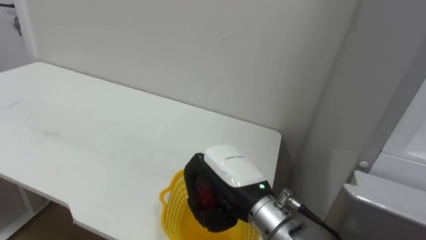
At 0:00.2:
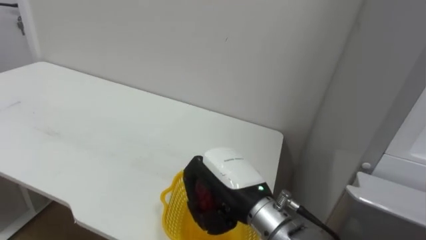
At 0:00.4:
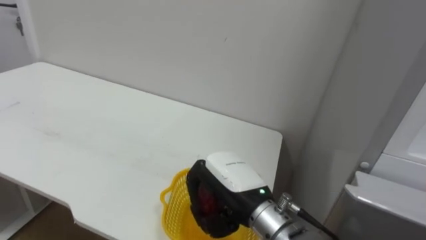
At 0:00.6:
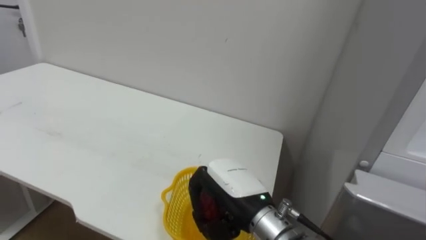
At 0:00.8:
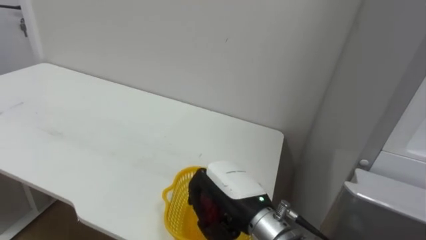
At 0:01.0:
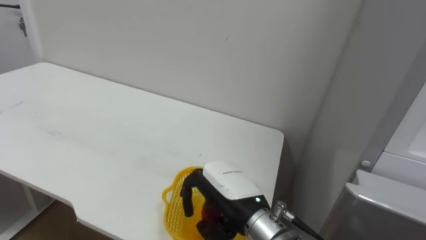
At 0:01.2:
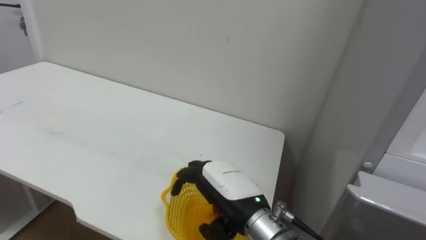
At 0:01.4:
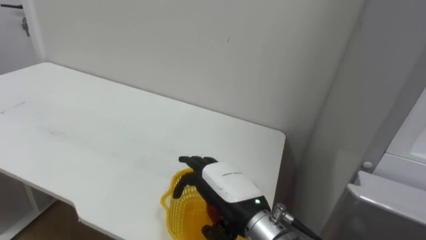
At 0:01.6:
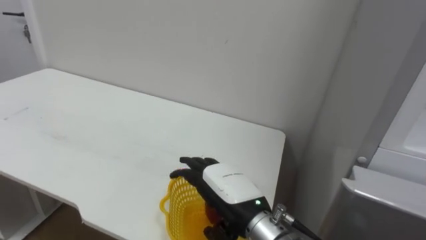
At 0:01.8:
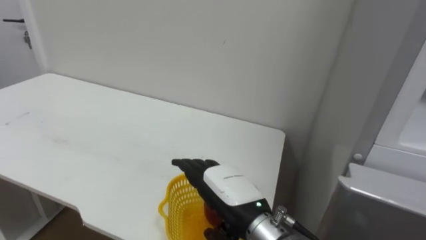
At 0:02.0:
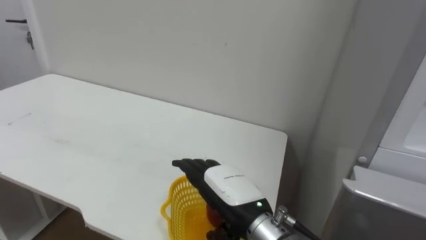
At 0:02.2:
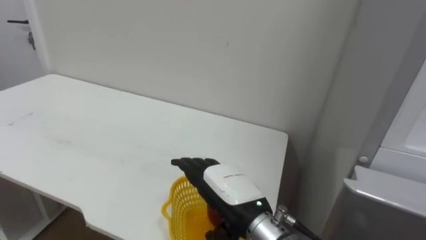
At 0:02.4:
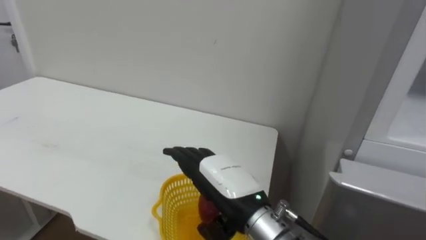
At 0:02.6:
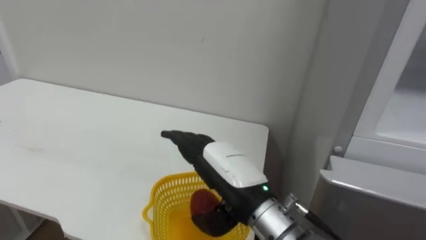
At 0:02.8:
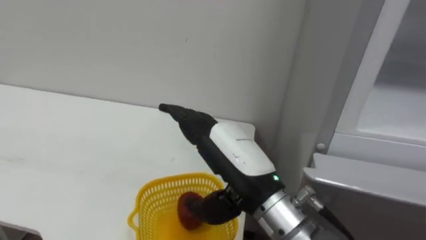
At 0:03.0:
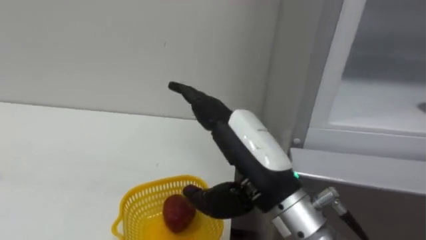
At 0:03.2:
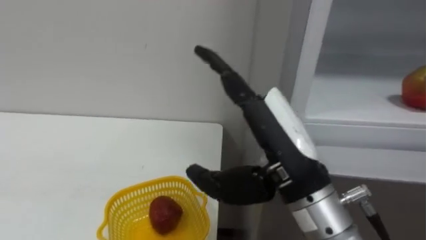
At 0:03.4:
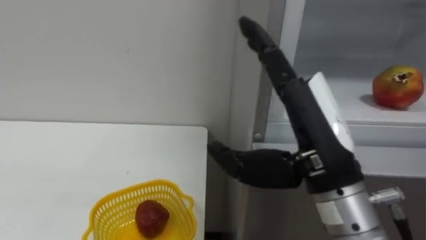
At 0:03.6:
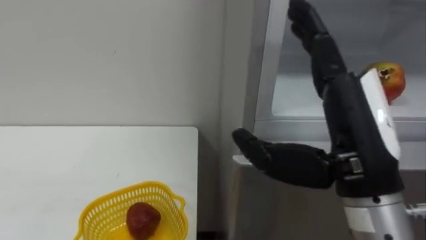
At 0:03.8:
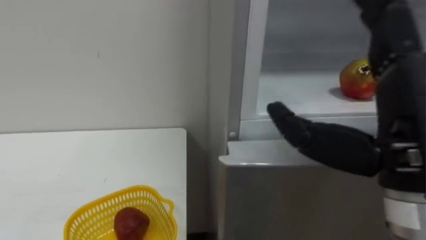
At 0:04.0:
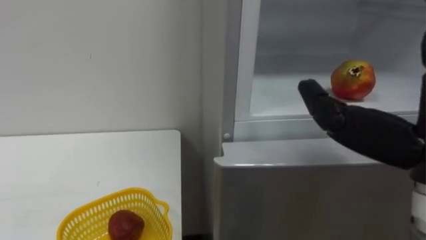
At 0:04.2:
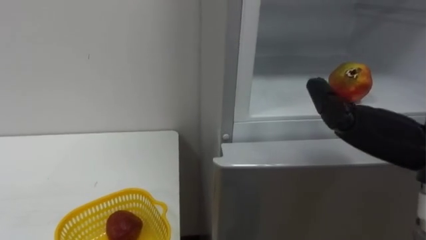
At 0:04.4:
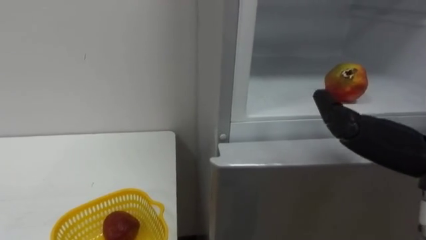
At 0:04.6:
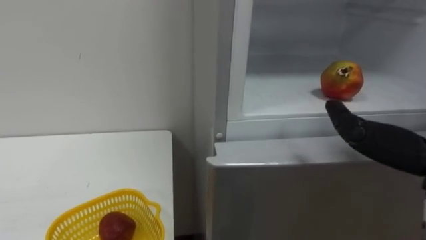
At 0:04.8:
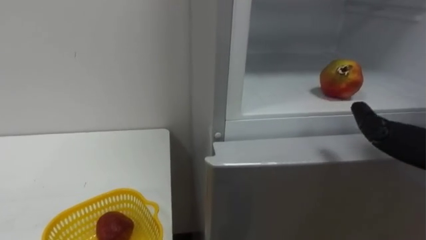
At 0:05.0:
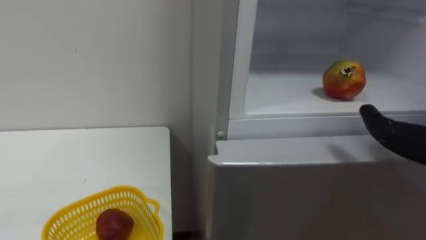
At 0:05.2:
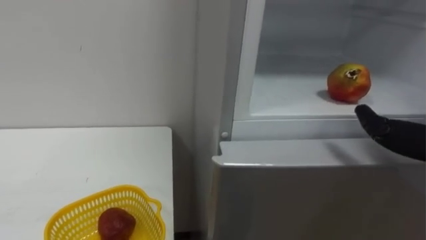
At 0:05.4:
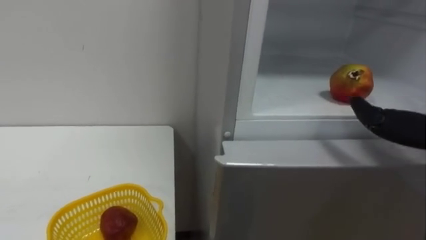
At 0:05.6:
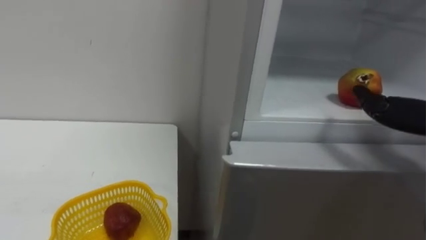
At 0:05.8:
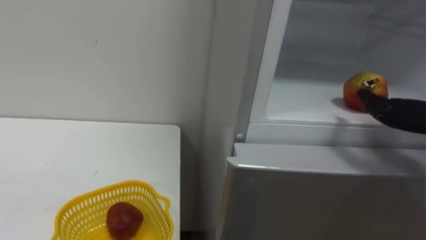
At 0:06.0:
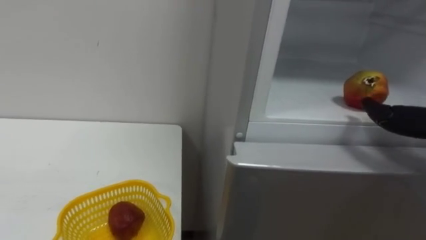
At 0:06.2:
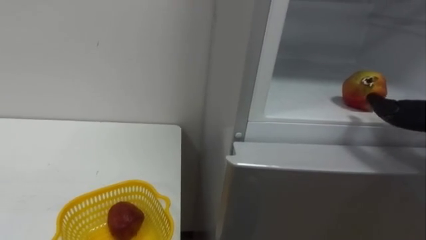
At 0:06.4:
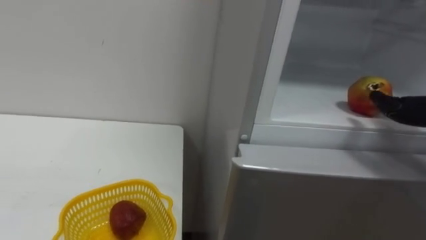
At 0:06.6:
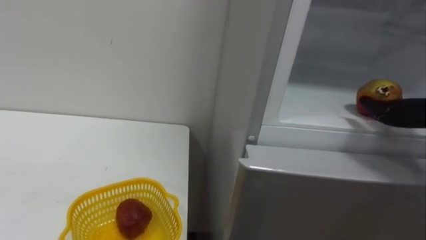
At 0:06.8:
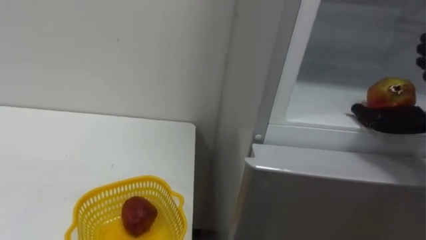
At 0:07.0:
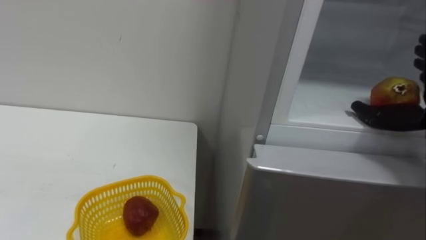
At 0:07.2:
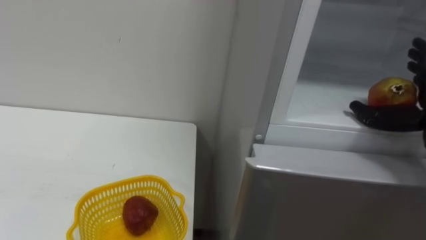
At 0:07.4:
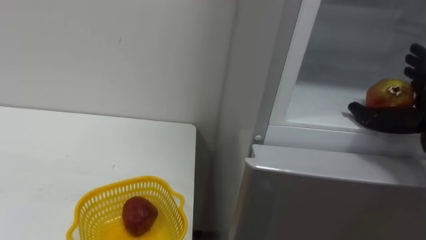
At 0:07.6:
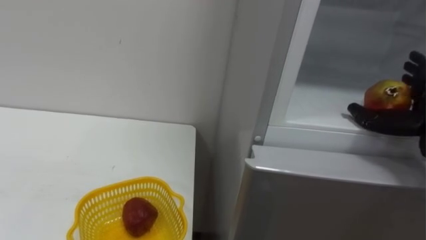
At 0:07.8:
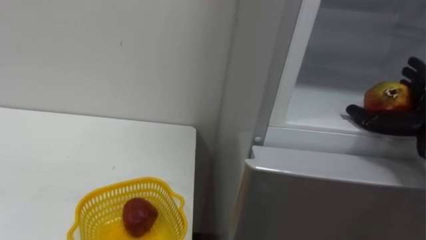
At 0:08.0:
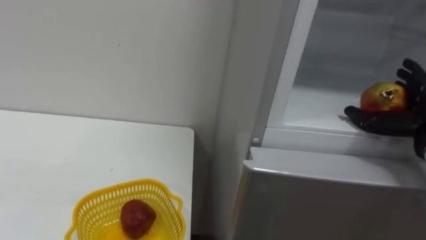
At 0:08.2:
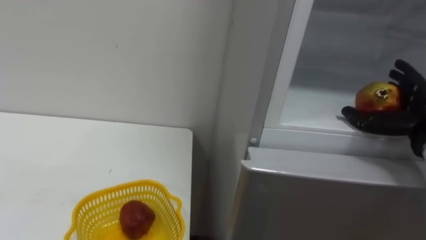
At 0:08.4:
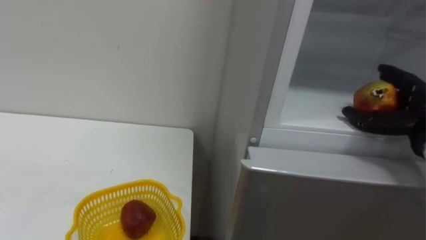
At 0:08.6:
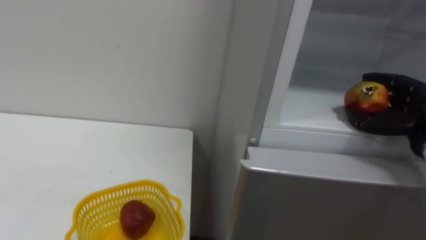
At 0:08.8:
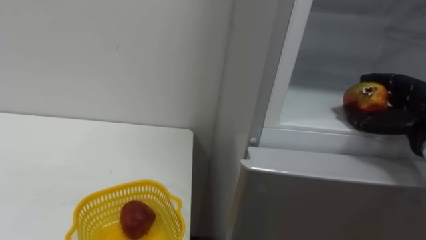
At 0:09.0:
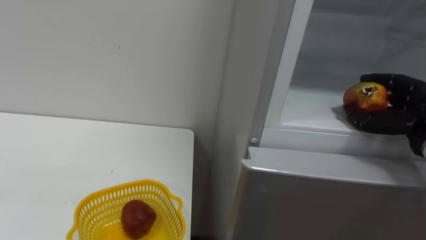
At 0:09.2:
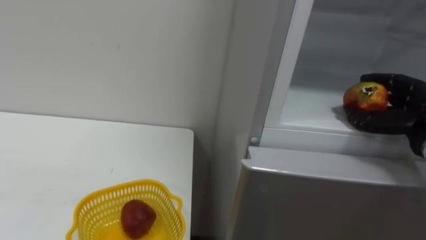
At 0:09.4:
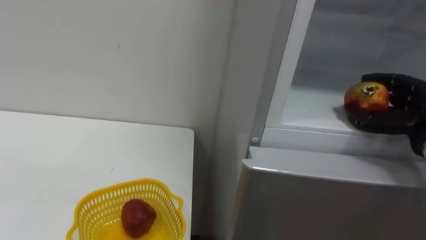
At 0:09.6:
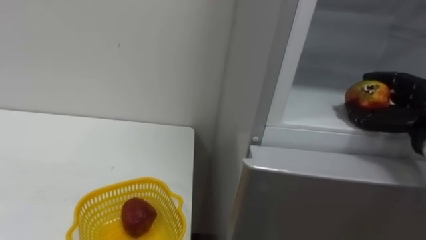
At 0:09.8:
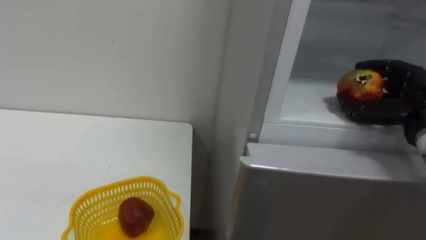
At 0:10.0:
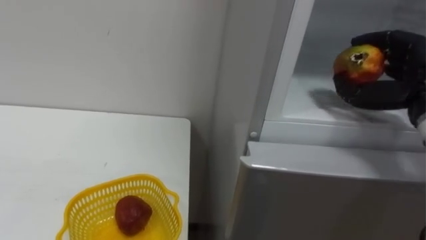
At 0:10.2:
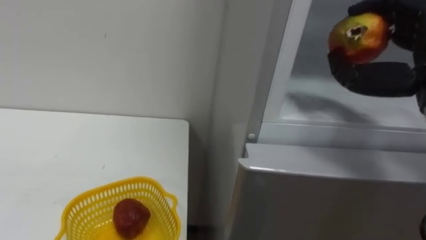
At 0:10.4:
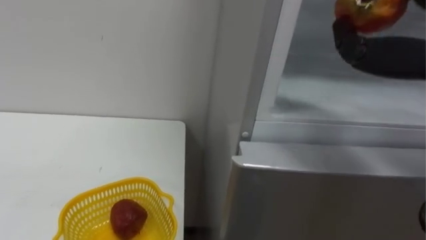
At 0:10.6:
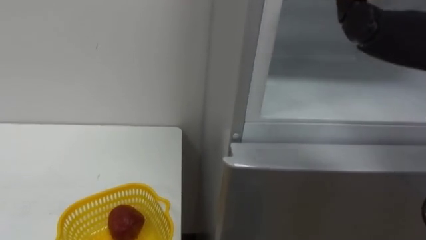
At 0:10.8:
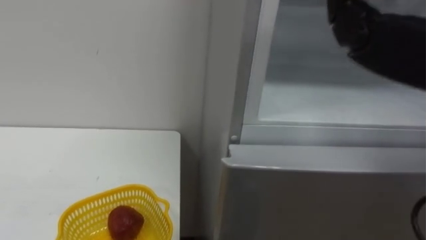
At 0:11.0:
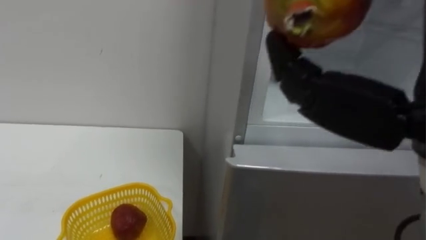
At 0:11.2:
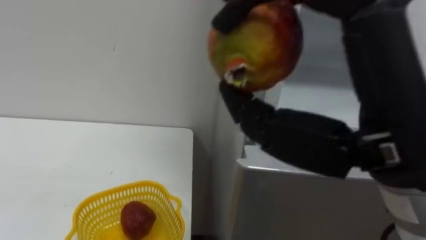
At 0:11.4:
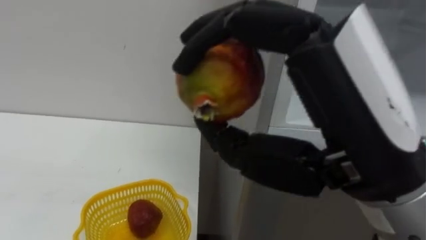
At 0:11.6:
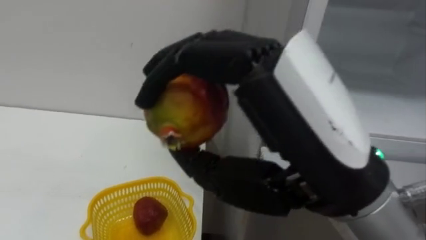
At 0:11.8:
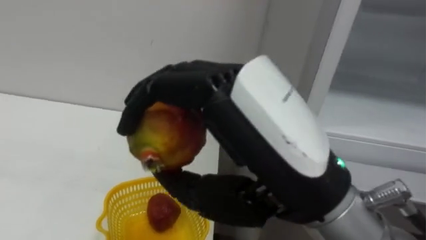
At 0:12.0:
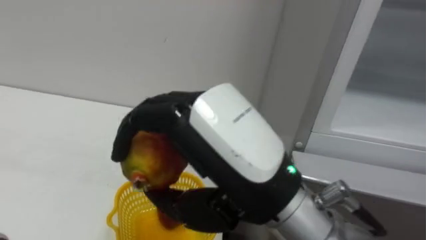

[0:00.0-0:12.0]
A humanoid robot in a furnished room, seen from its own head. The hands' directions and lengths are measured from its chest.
Task of the whole recording: Open the refrigerator door, take out the apple and the pomegranate, place them in the fruit basket on the left, and close the refrigerator door.
0:00.0 to 0:01.6: The right hand opens.
0:01.6 to 0:03.0: The right hand heads upward, covering about 10 cm.

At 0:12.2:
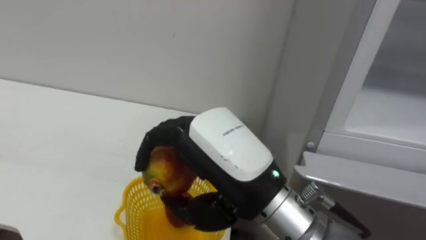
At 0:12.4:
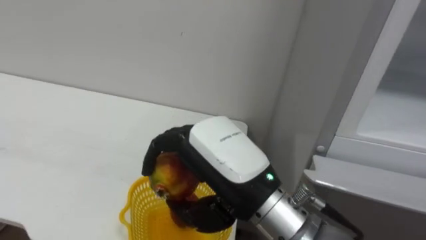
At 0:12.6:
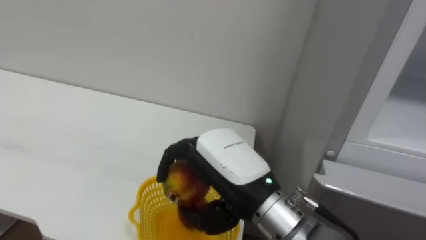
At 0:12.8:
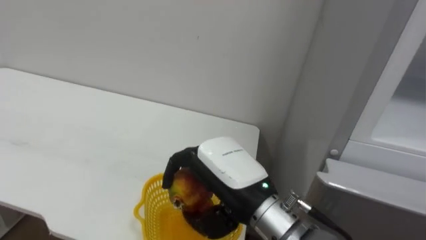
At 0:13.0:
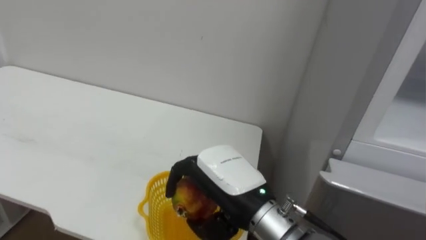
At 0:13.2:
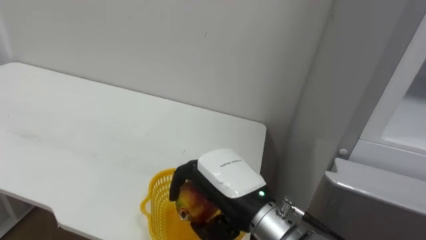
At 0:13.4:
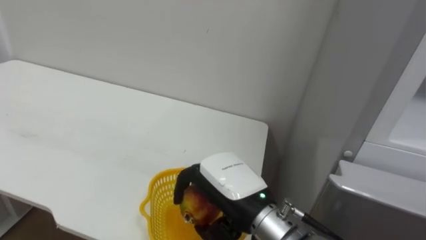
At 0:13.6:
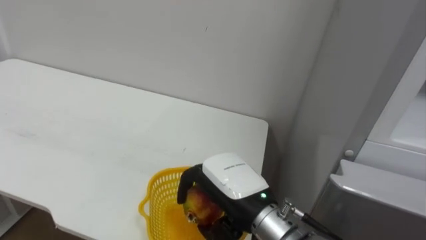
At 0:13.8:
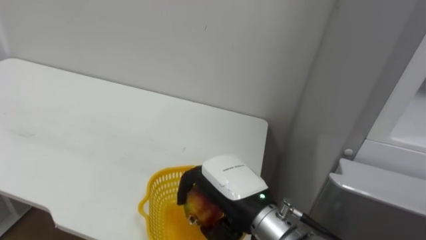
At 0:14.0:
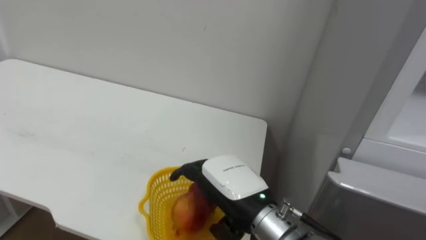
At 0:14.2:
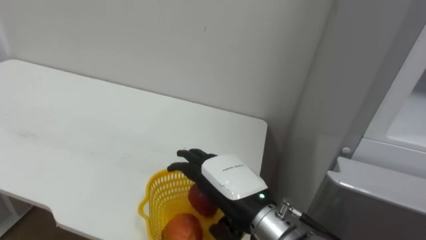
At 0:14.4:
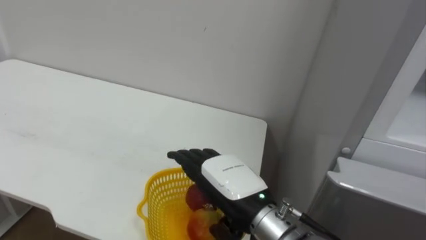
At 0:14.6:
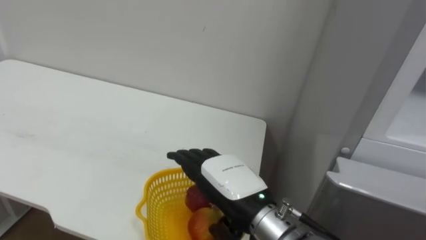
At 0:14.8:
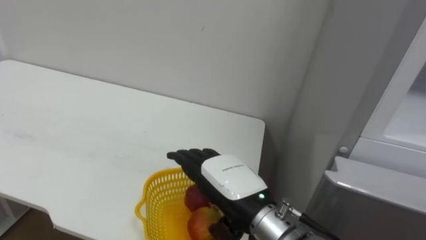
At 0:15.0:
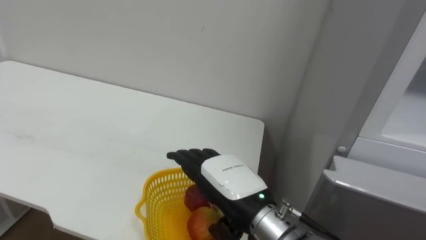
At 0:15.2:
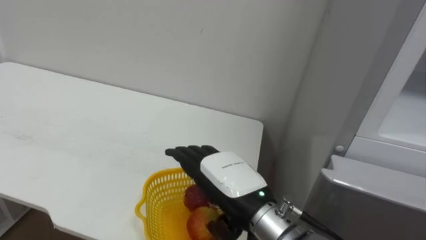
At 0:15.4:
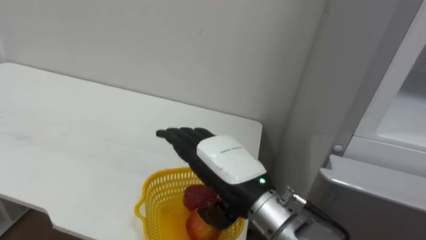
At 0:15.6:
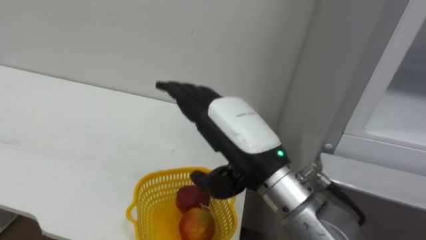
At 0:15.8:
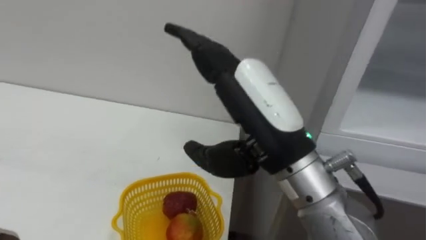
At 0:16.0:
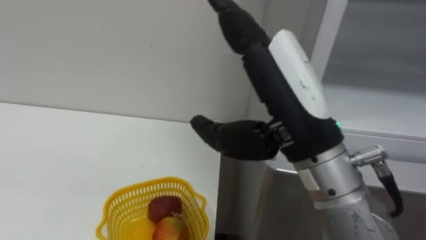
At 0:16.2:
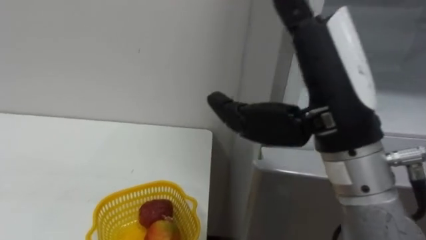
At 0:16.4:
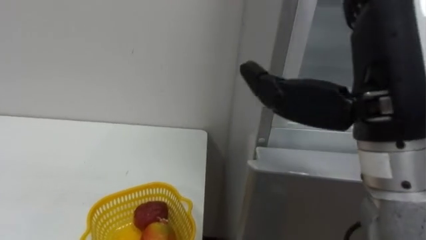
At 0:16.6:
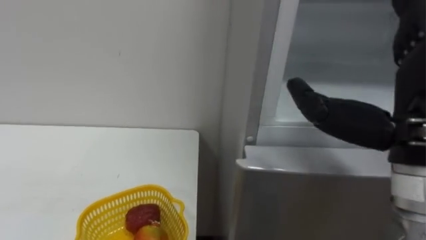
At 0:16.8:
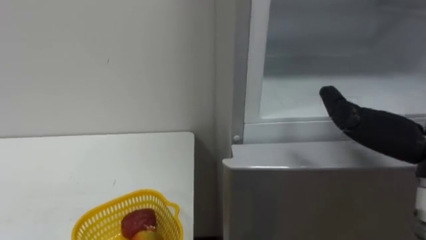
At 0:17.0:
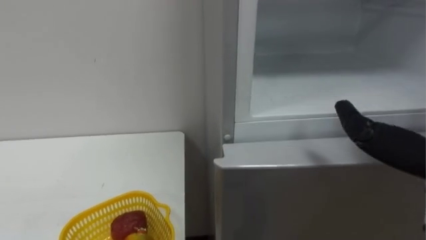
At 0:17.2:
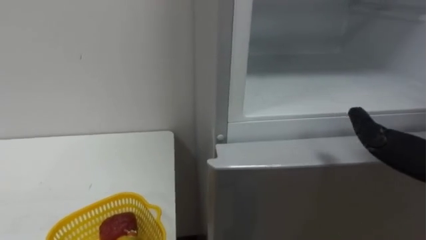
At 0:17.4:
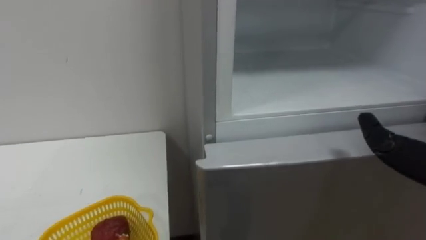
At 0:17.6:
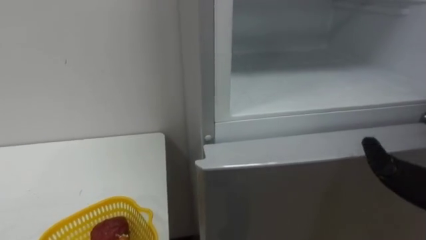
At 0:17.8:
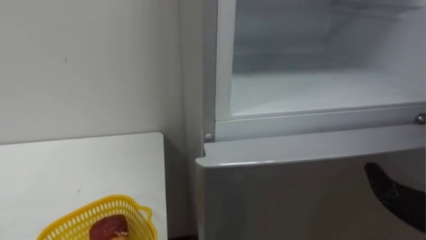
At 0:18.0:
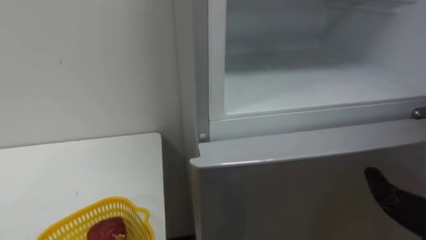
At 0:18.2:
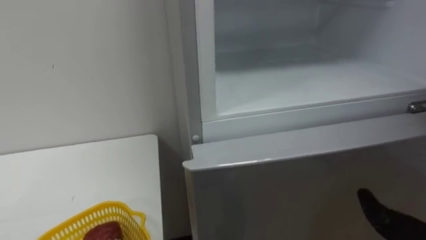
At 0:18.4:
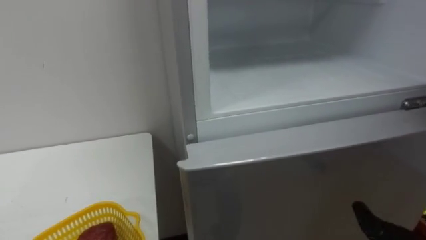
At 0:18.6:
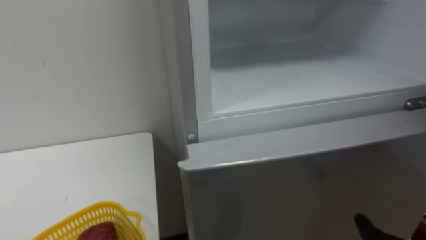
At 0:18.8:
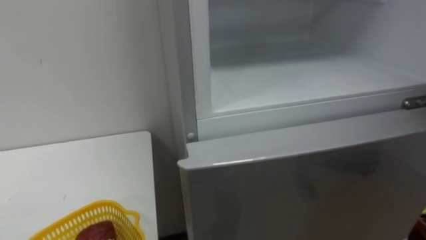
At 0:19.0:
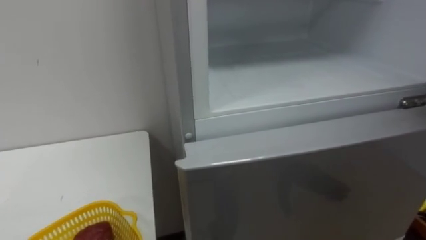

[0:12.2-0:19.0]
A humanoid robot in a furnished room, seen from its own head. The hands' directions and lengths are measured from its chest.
Task of the whole recording: Open the refrigerator door, take out the apple and the pomegranate, place them in the fruit basket on the left, and close the refrigerator door.
0:12.2 to 0:13.6: The right hand goes about 10 cm downward and forward.
0:13.6 to 0:15.0: The right hand opens up.
0:15.0 to 0:16.2: The right hand goes some 20 cm upward and to the right.
